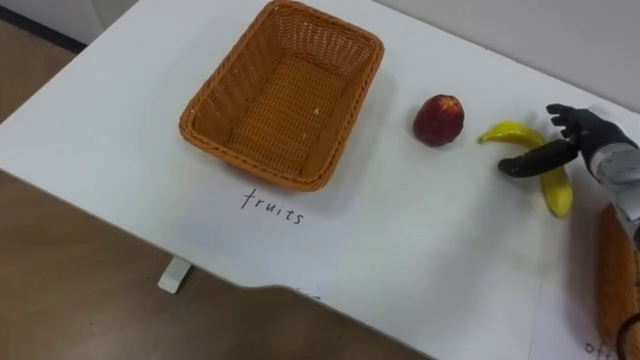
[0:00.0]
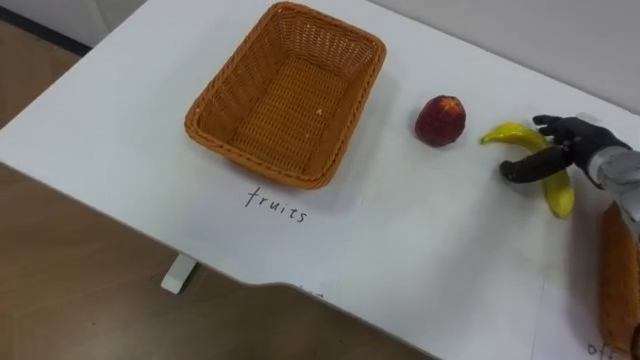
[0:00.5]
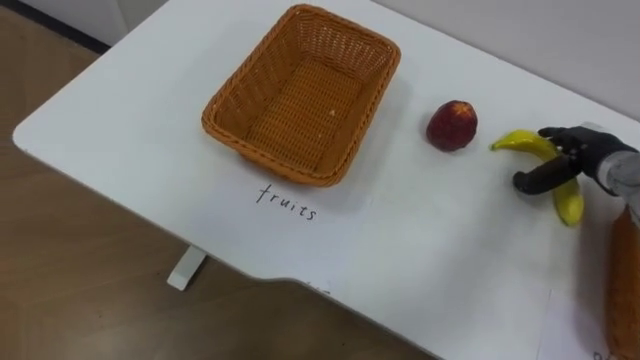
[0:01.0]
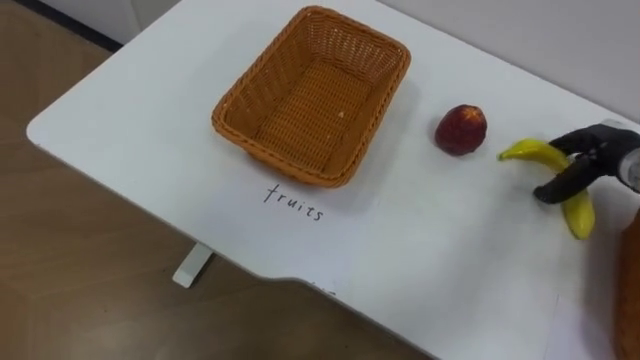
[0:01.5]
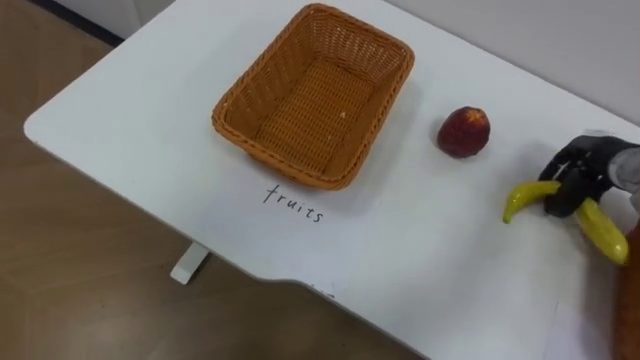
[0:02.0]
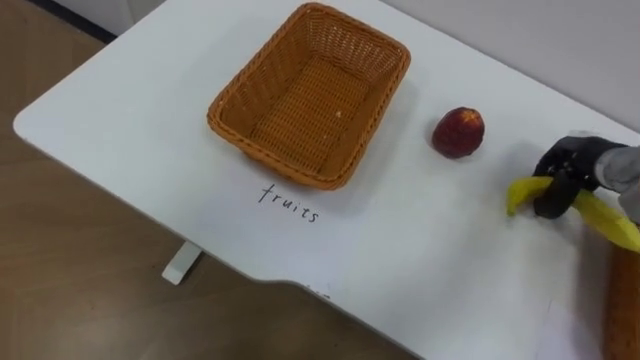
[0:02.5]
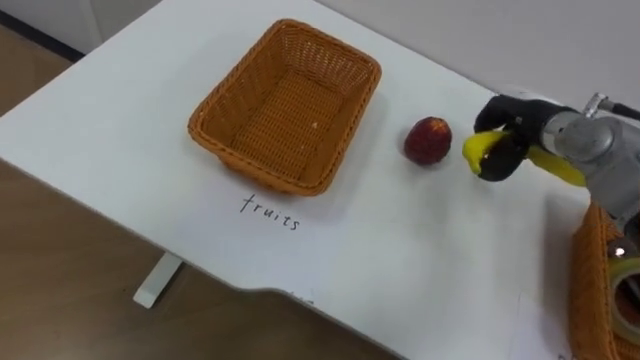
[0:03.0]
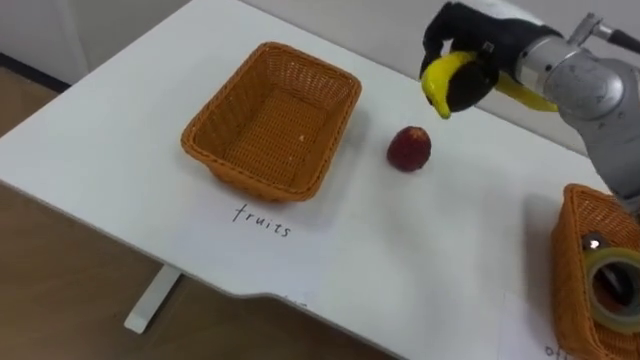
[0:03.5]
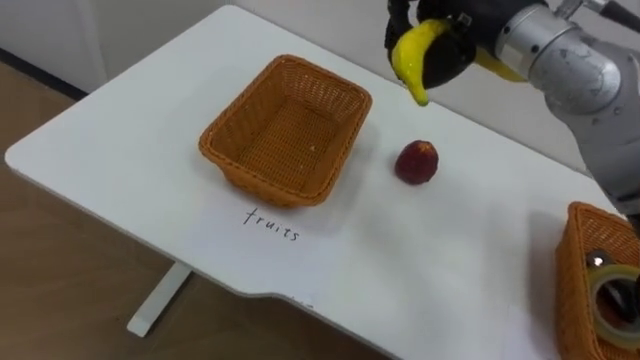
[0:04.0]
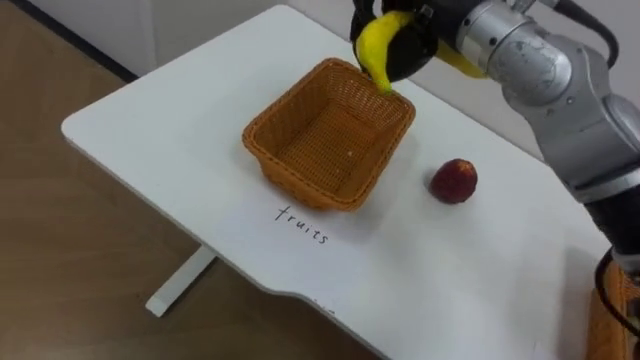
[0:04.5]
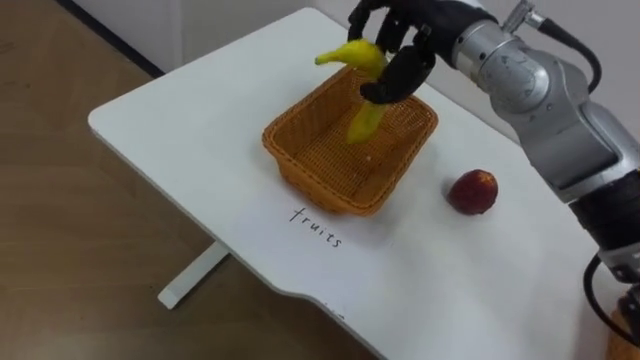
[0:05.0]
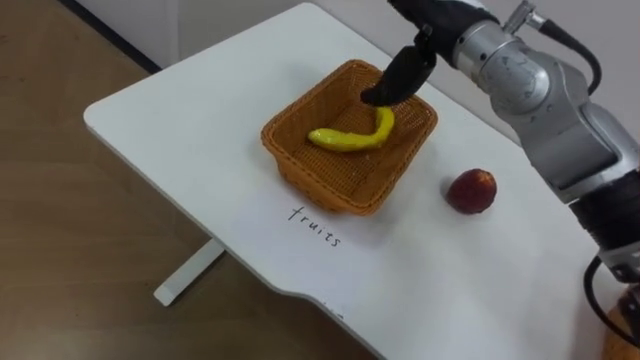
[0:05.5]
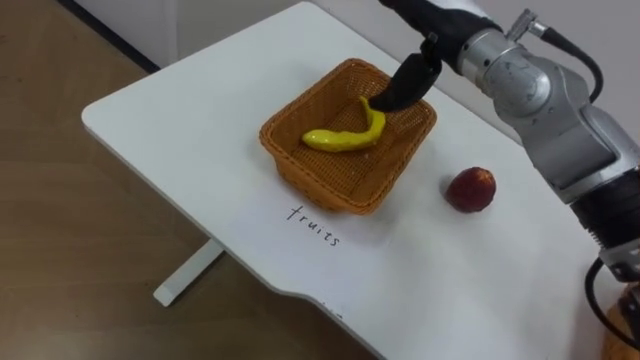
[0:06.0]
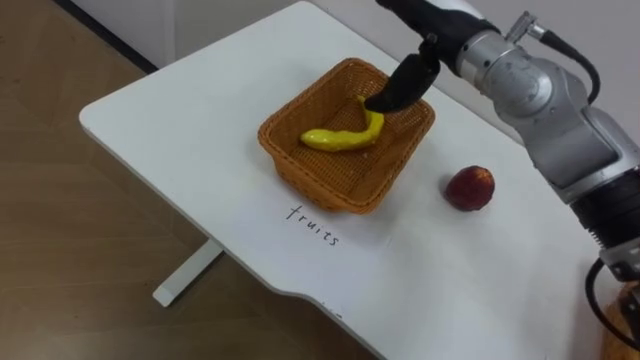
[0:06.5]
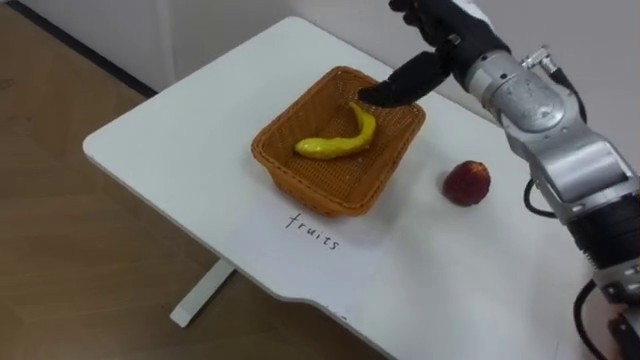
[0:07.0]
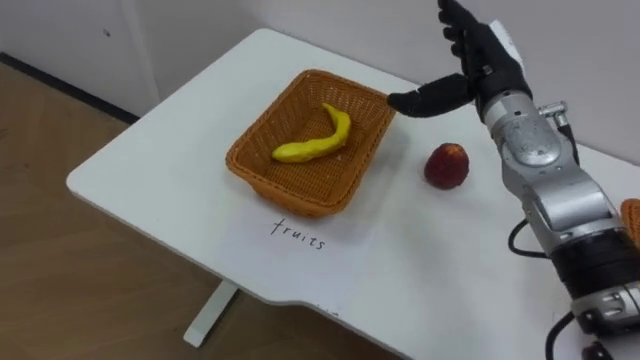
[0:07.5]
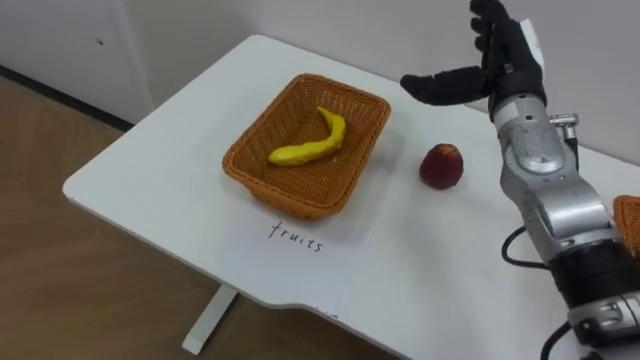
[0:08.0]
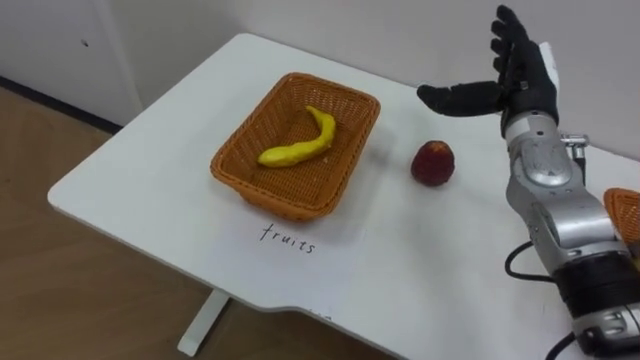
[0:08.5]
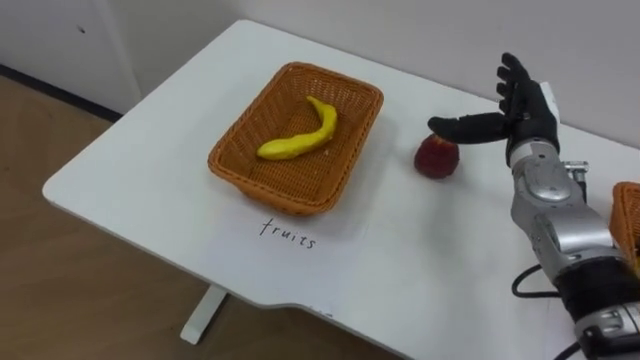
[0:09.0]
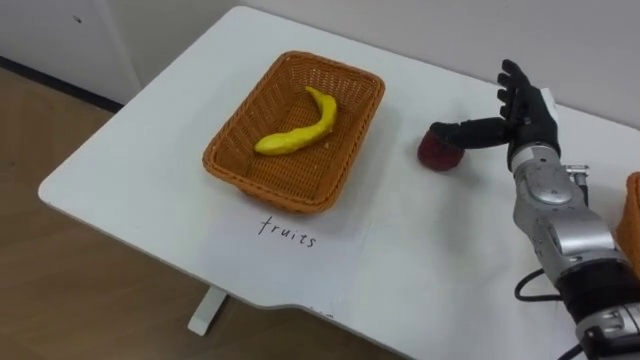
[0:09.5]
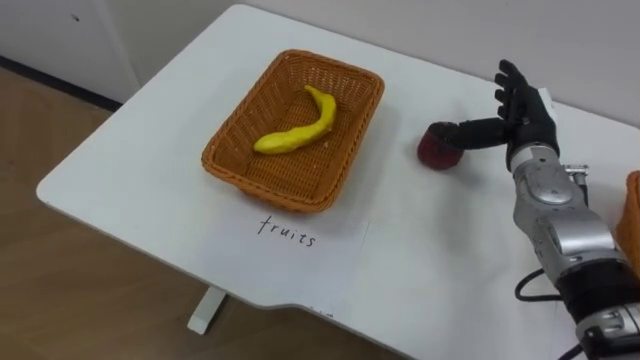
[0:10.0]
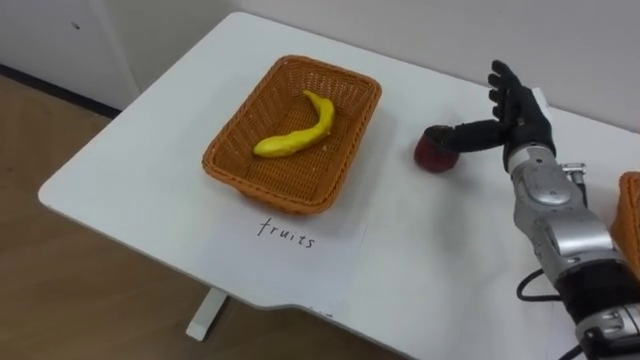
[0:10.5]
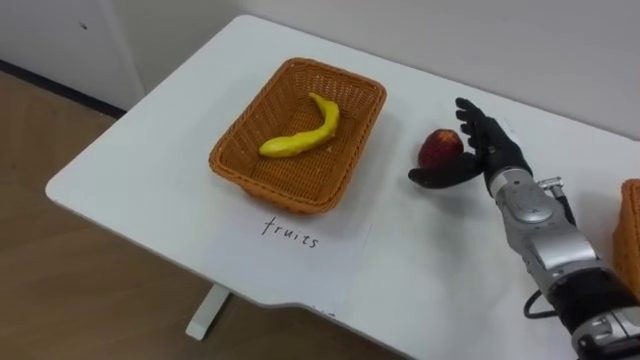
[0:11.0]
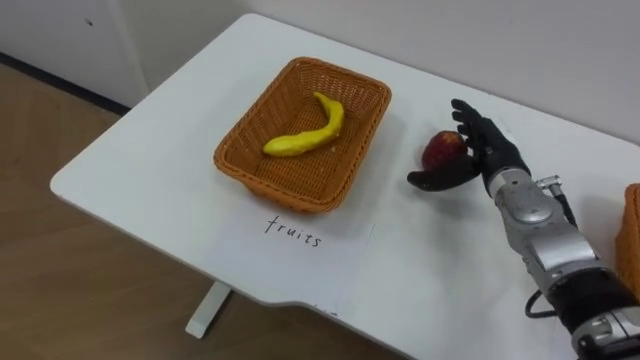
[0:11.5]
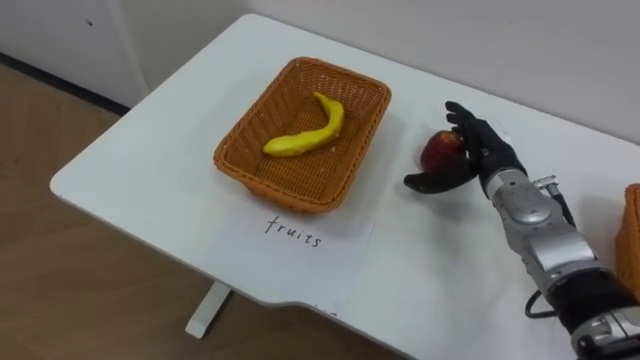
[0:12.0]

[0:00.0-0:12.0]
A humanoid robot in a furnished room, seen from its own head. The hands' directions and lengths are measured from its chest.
Task of the whole recording: Separate the items on the table and place them into the two baskets.
0:00.0 to 0:02.0: The right hand closes its fingers.
0:02.0 to 0:04.0: The right hand moves to the left and upward, some 30 cm.
0:06.0 to 0:08.0: The right hand goes approximately 10 cm to the right and downward.
0:08.0 to 0:10.0: The right hand shifts roughly 10 cm downward.
0:10.0 to 0:12.0: The right hand ends up about 5 cm from where it was.

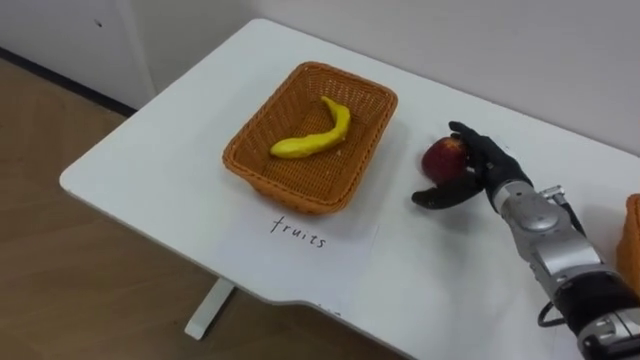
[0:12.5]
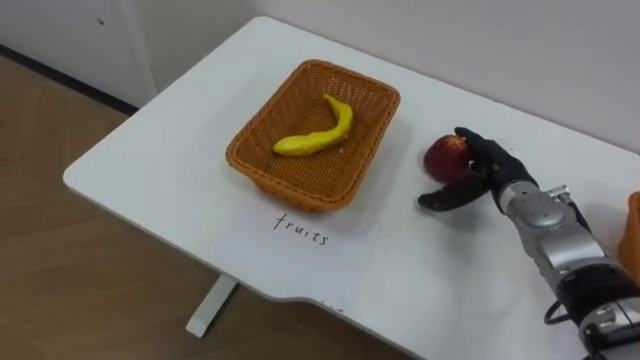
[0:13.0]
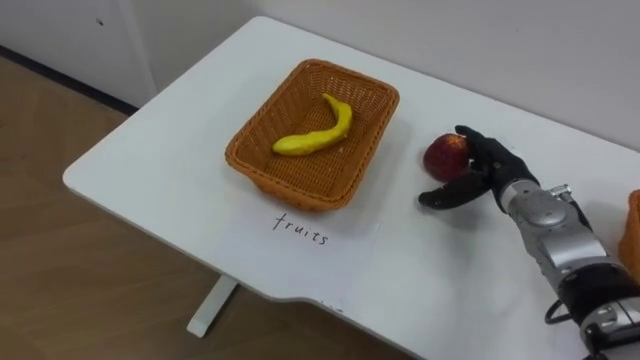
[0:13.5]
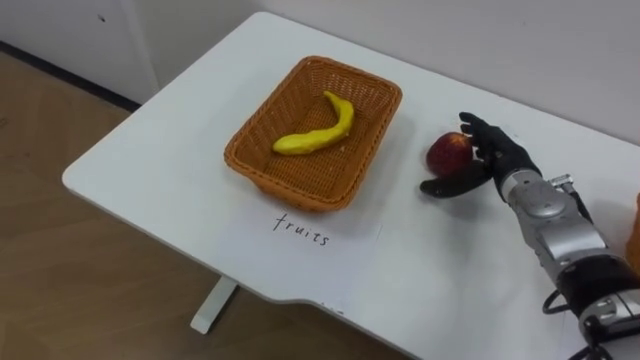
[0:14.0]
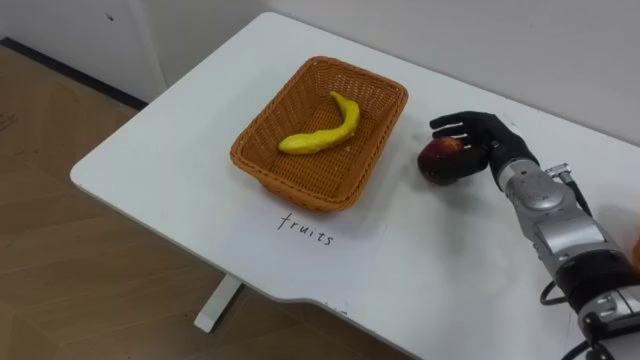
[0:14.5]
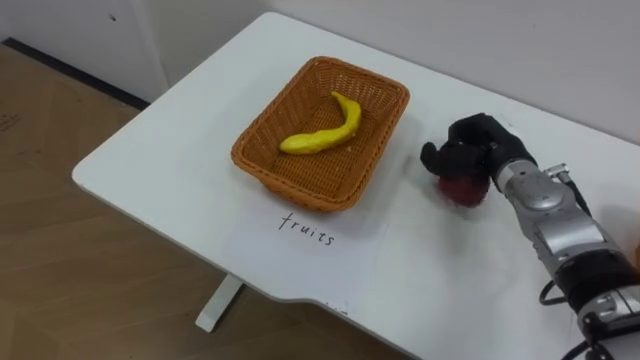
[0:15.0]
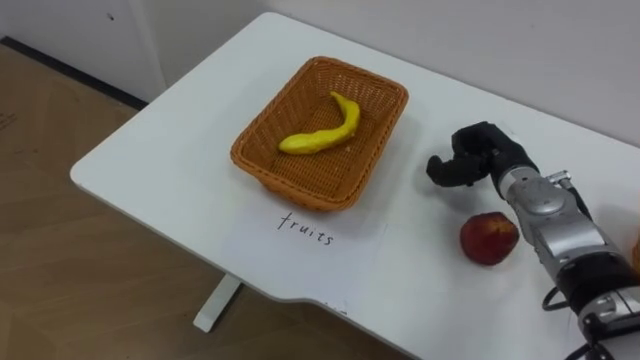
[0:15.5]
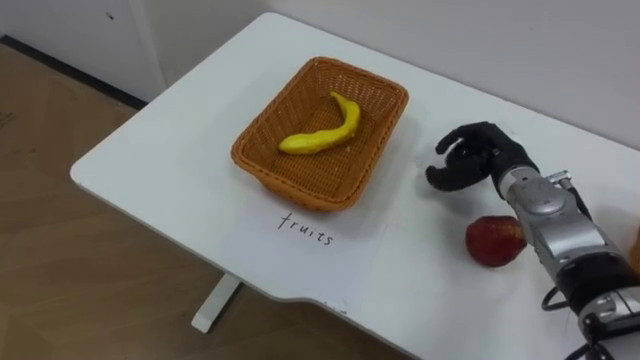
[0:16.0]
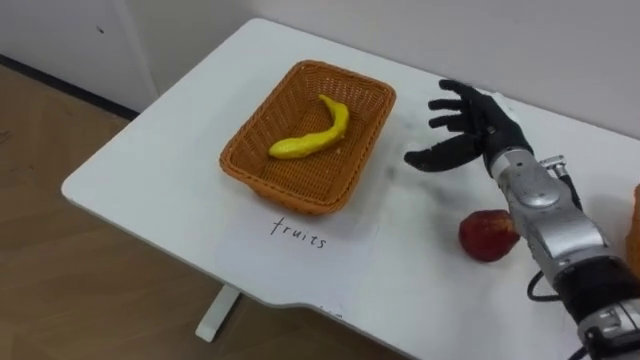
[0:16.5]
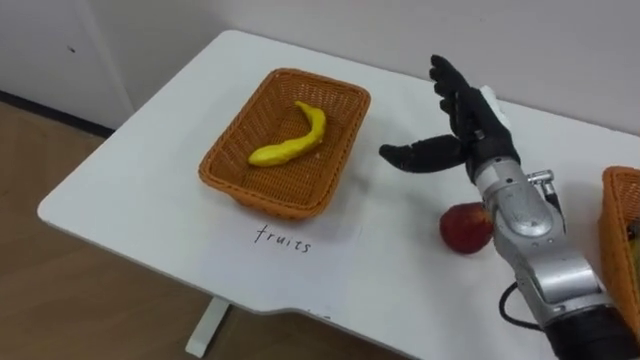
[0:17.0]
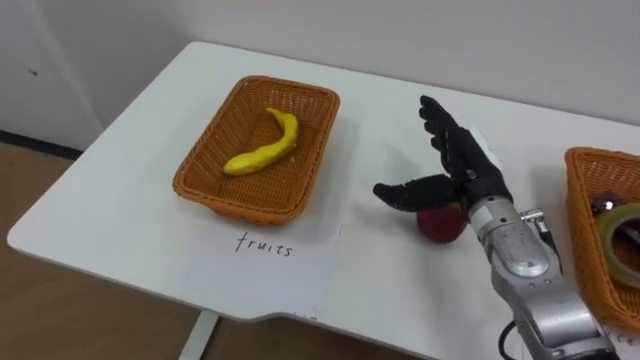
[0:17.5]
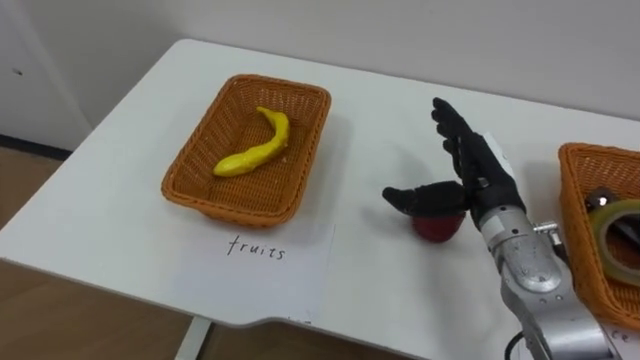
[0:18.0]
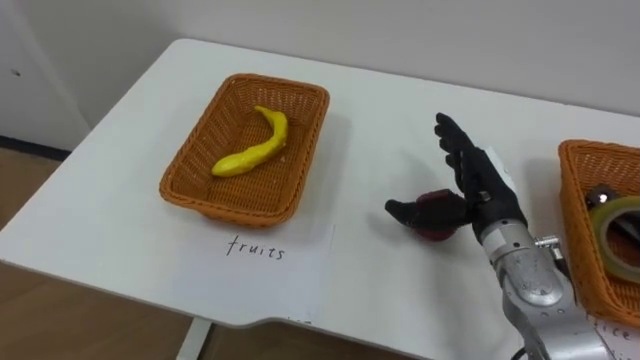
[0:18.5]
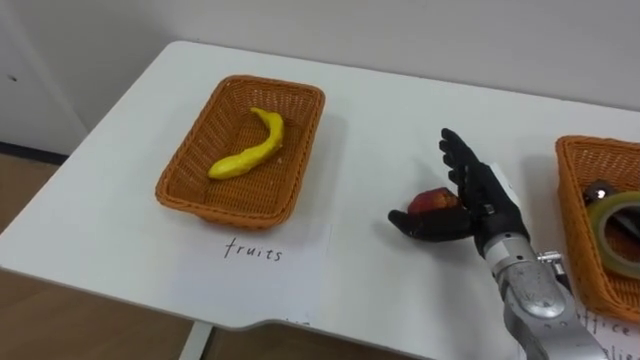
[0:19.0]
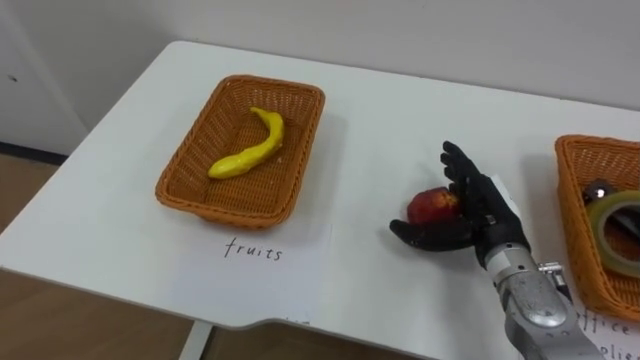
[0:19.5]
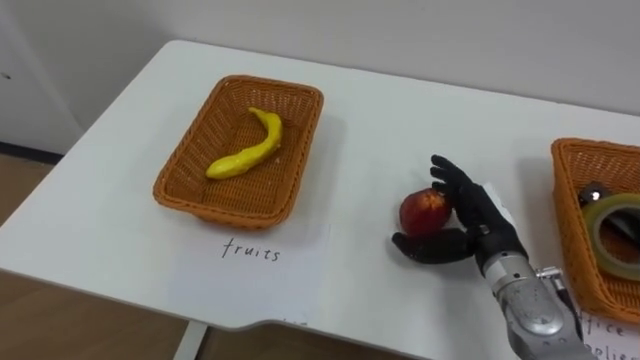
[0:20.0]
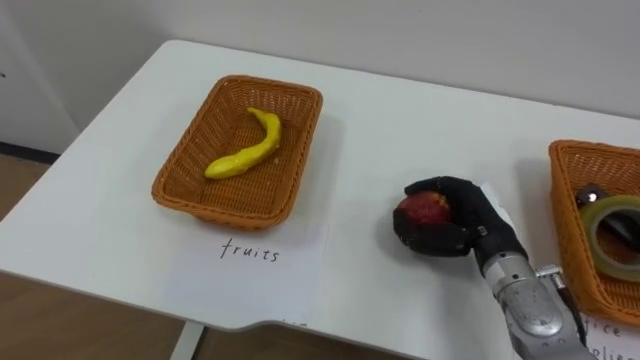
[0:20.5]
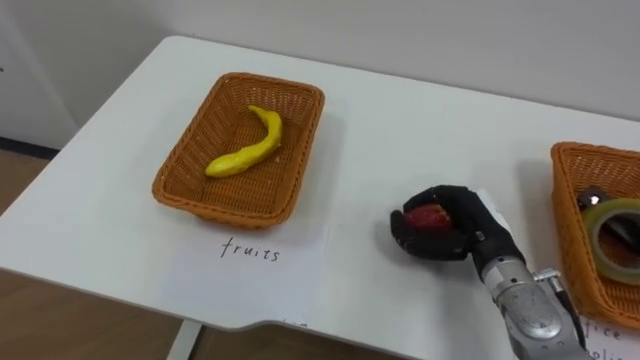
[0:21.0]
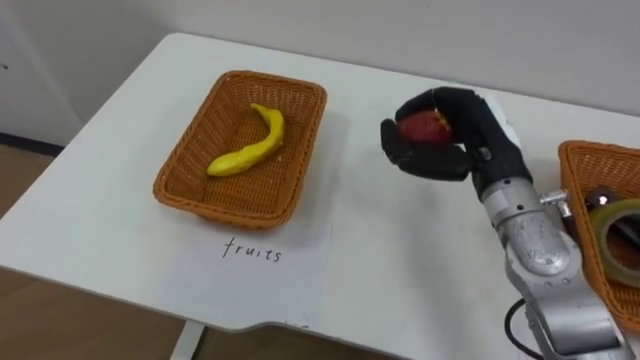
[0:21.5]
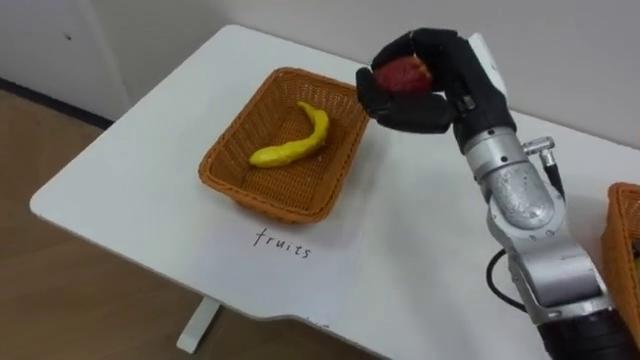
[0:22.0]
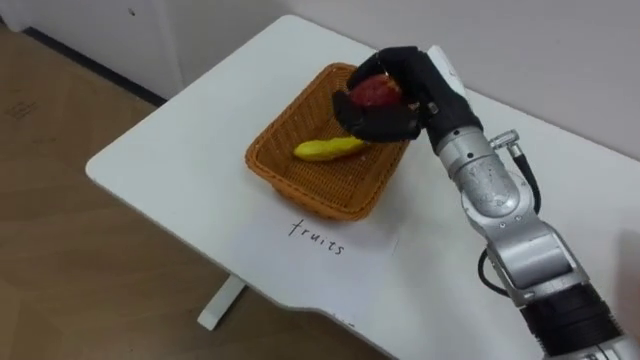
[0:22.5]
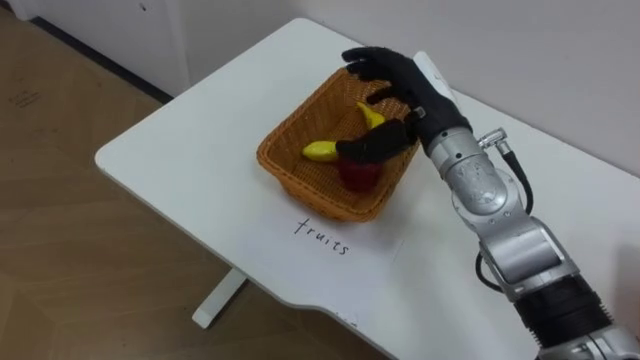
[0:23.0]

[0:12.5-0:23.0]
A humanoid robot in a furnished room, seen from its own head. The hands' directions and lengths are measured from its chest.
Task of the whole recording: Separate the items on the table and place them into the two baskets.
0:12.5 to 0:14.5: The right hand closes up.
0:14.5 to 0:16.5: The right hand closes and opens again.
0:16.5 to 0:19.0: The right hand is displaced backward by some 10 cm.
0:19.0 to 0:21.0: The right hand closes its fingers.
0:21.0 to 0:23.0: The right hand heads upward, forward and to the left, covering roughly 20 cm, and opens.
